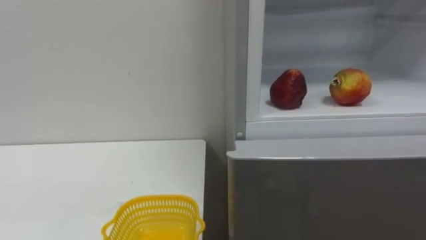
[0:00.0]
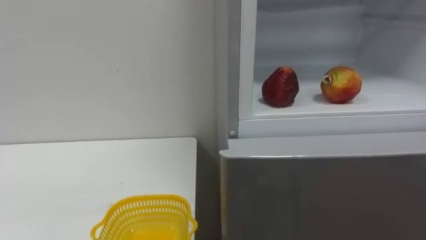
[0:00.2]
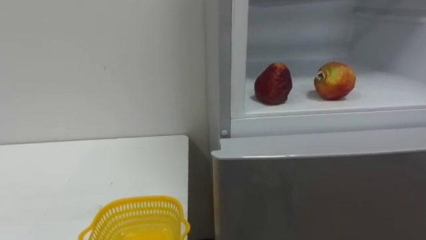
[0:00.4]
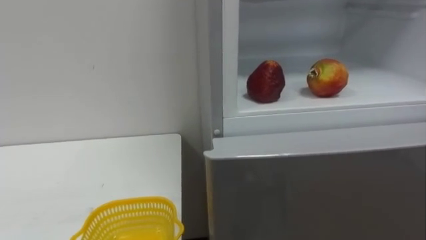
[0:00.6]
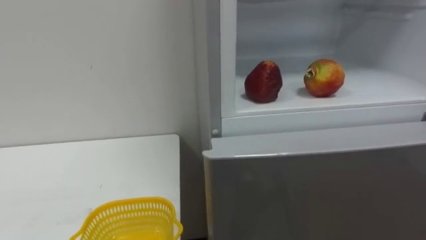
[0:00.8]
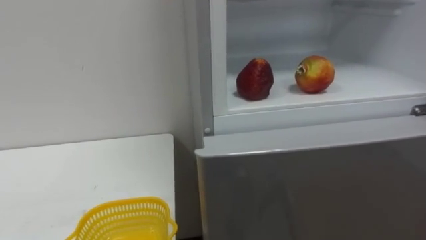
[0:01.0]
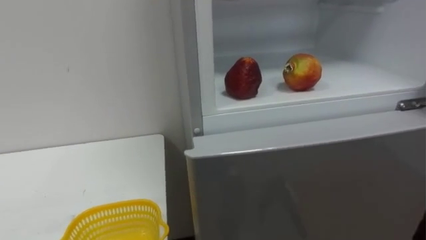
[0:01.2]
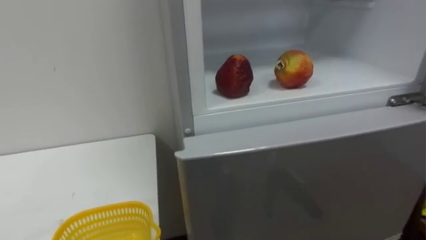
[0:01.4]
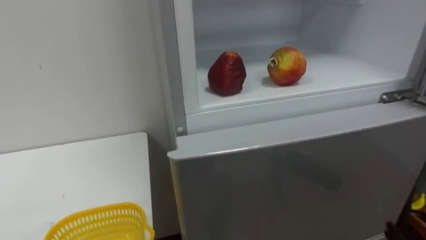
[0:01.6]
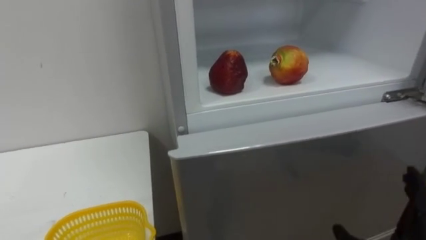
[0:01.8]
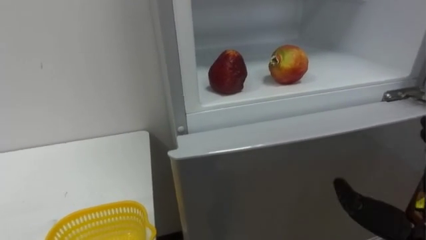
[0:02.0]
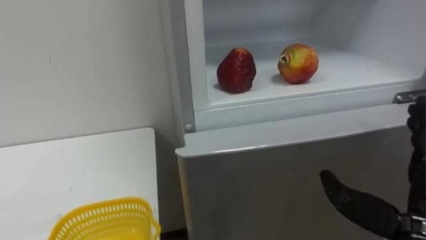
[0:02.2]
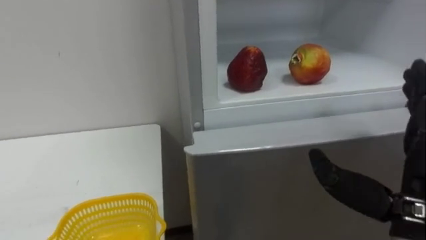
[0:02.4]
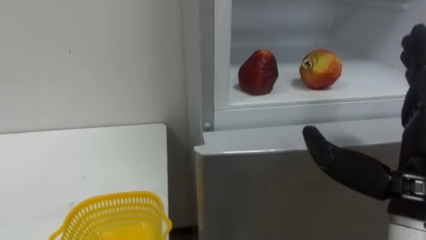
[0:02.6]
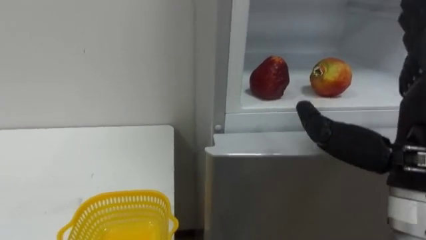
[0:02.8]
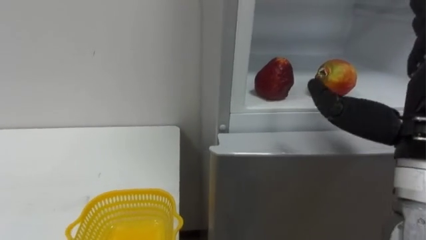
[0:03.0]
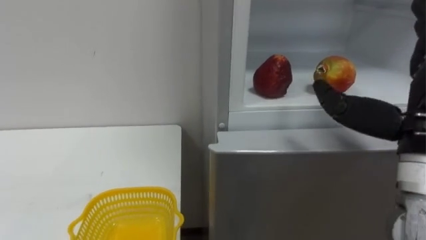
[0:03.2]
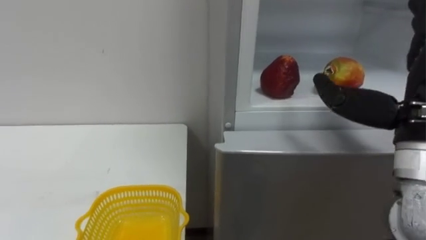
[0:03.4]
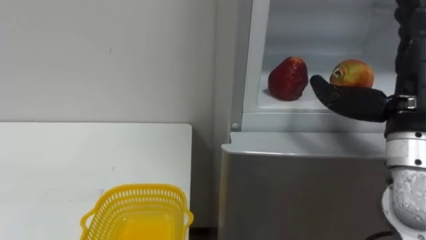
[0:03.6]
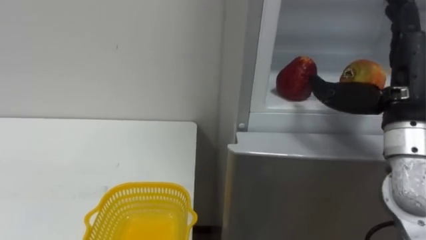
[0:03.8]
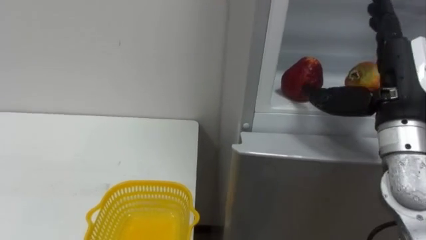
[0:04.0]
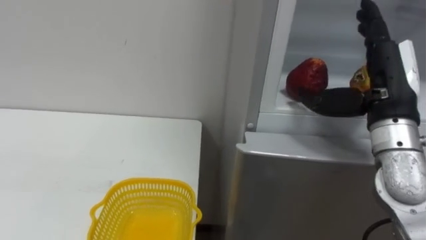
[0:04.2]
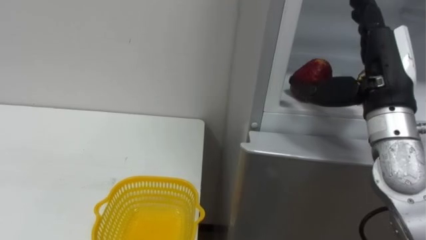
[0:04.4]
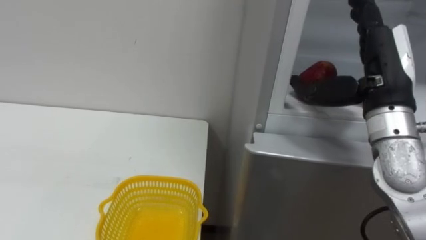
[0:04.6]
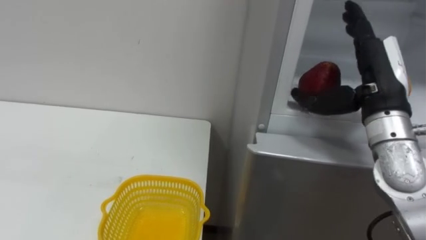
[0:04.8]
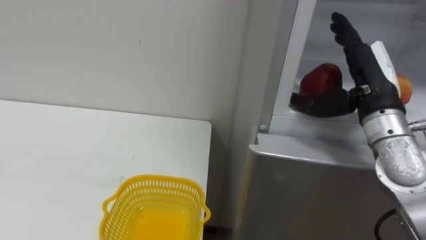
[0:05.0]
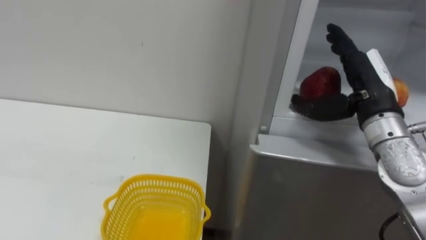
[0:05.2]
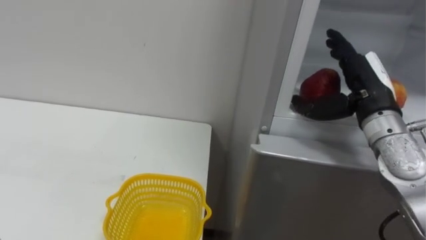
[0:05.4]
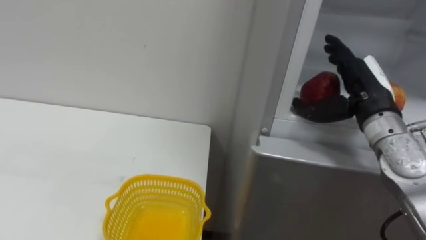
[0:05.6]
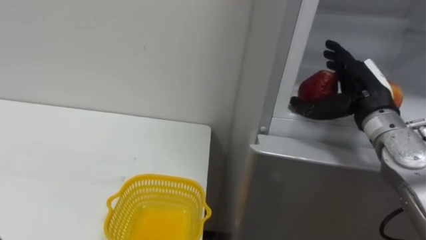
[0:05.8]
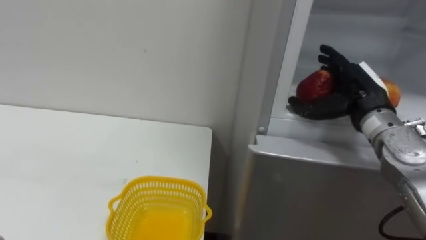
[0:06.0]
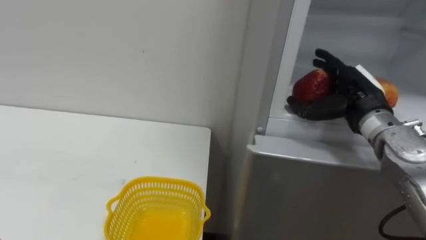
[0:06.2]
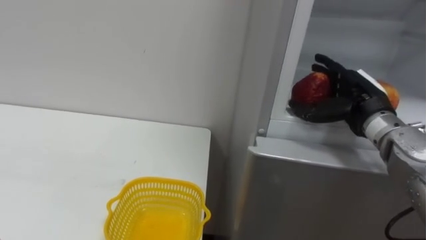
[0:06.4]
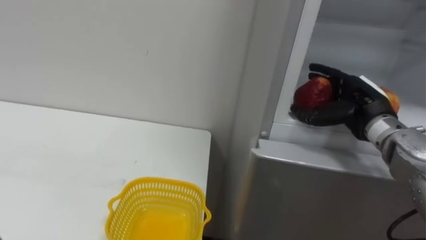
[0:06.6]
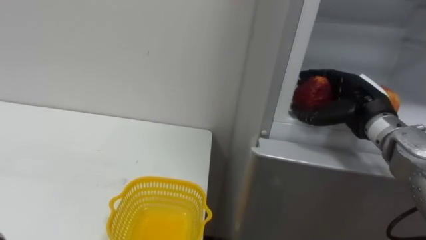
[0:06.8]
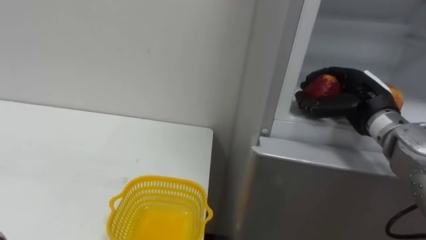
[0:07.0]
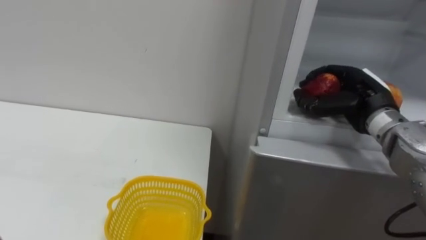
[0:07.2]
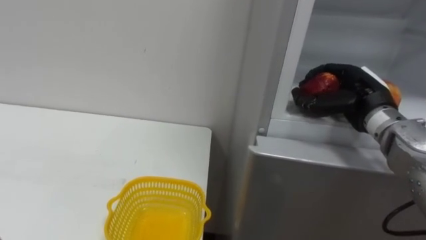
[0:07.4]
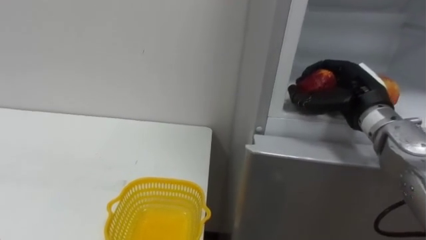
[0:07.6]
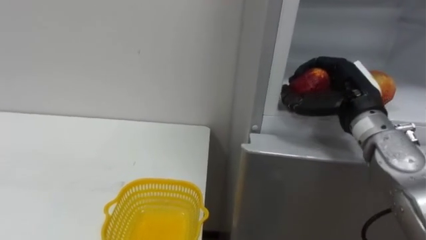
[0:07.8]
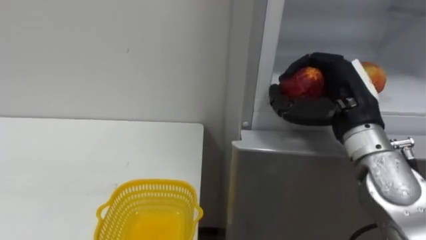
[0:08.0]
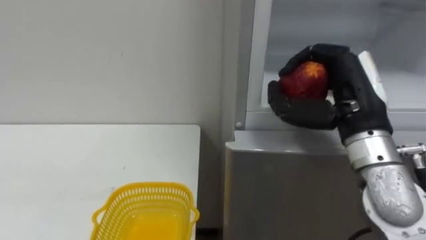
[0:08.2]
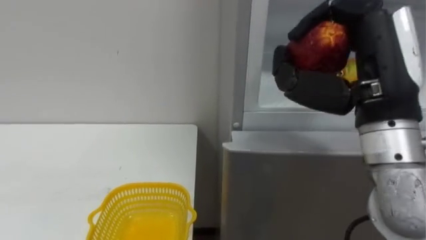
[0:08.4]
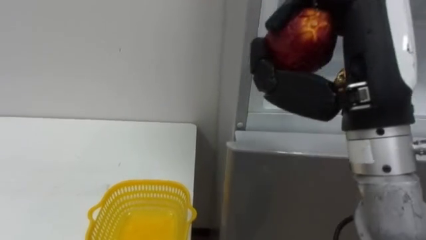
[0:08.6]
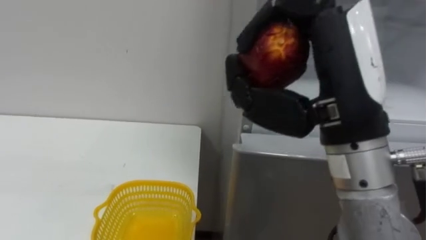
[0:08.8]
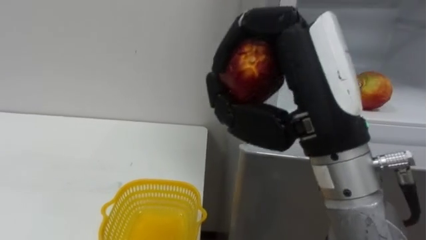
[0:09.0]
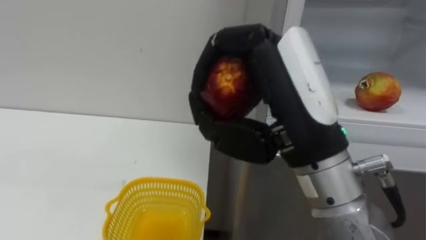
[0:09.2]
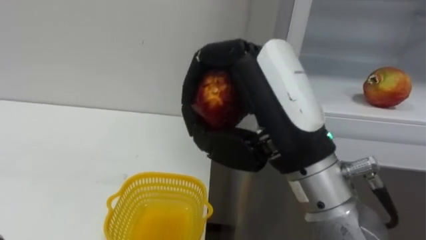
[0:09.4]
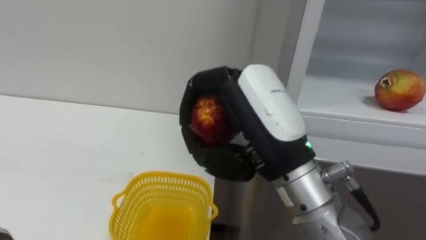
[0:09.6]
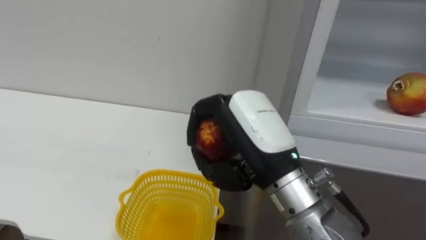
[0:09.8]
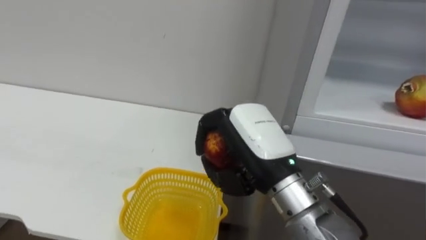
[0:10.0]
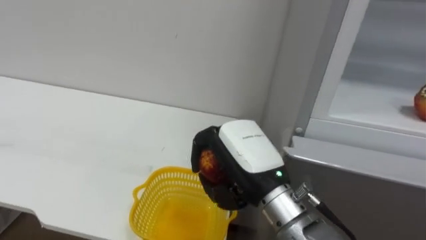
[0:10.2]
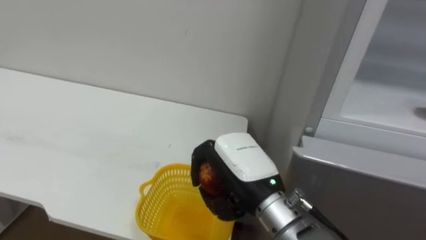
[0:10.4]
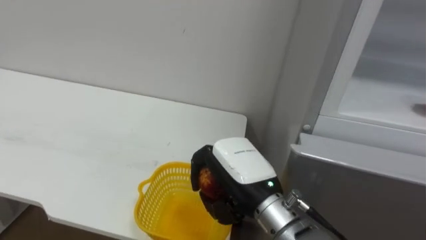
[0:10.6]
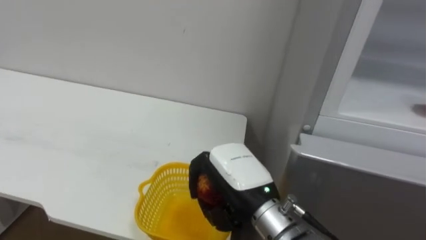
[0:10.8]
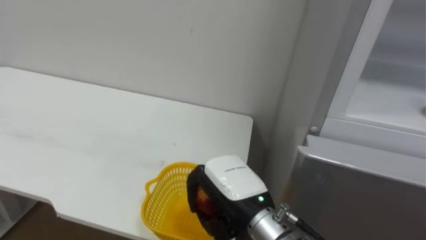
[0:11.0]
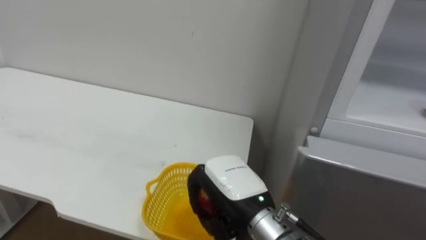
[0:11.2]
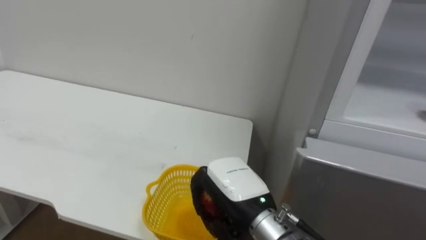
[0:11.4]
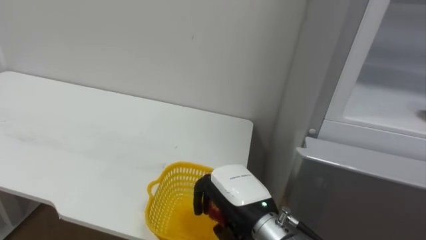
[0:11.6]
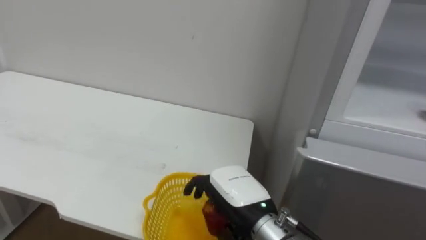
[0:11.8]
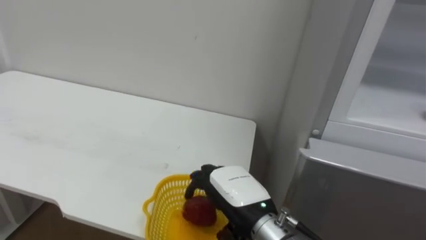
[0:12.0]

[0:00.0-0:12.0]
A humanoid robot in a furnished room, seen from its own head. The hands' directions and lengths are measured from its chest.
Task of the whole recording: Open the refrigerator door, take out the apple and the pomegranate, place them in the fruit basket on the left, and close the refrigerator door.
3.0 to 4.4 s: The right hand moves forward, roughly 10 cm.
4.4 to 6.0 s: The right hand heads forward and downward, covering approximately 10 cm.
6.0 to 7.6 s: The right hand closes.
7.6 to 9.0 s: The right hand shifts about 25 cm backward, to the left and upward.
9.0 to 10.4 s: The right hand moves downward and forward, approximately 15 cm.
10.4 to 12.0 s: The right hand is displaced downward by roughly 5 cm, and opens.

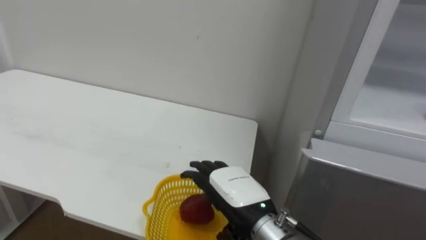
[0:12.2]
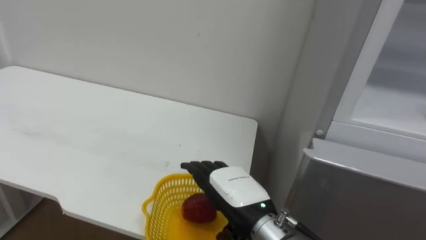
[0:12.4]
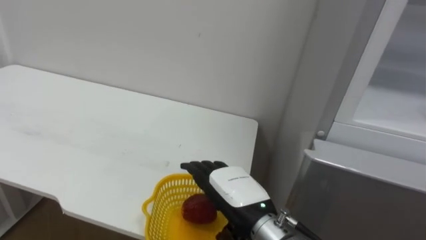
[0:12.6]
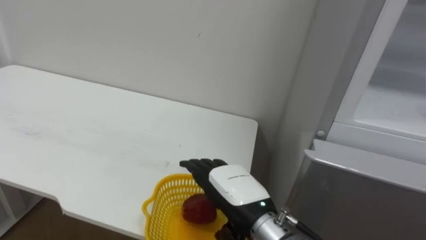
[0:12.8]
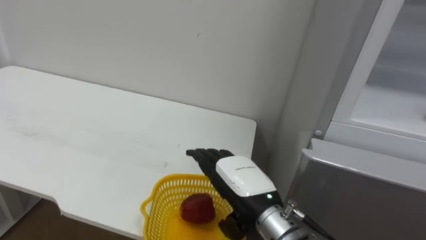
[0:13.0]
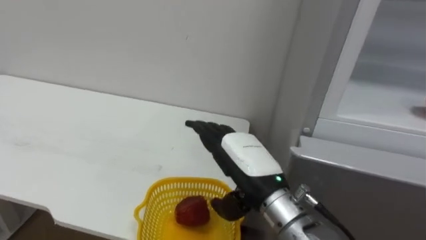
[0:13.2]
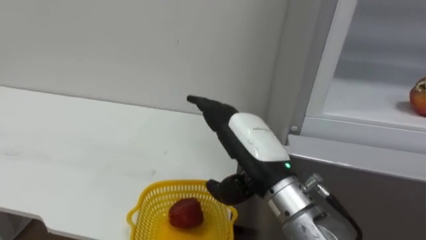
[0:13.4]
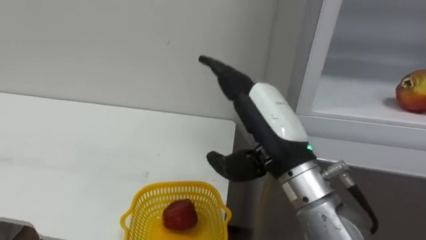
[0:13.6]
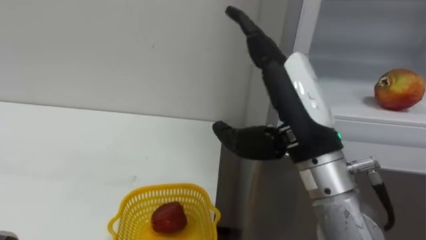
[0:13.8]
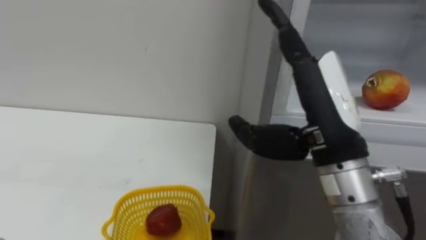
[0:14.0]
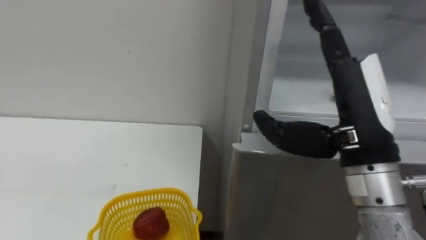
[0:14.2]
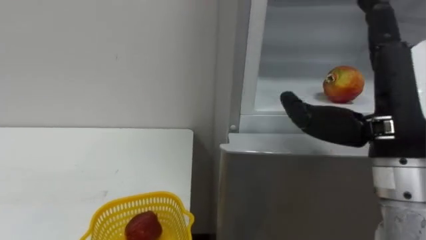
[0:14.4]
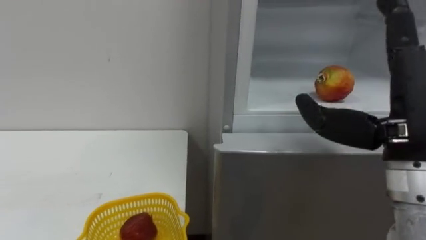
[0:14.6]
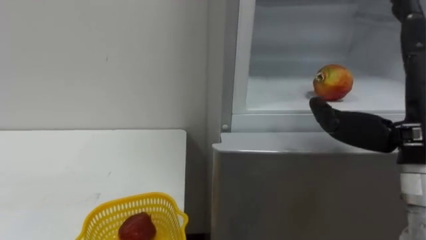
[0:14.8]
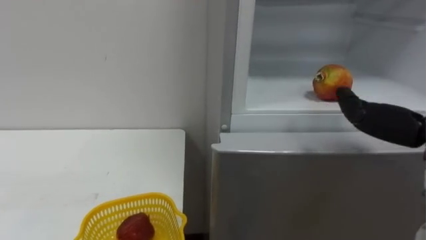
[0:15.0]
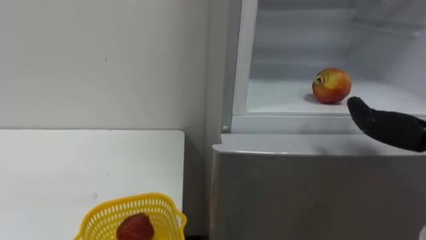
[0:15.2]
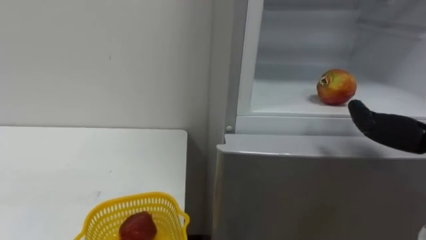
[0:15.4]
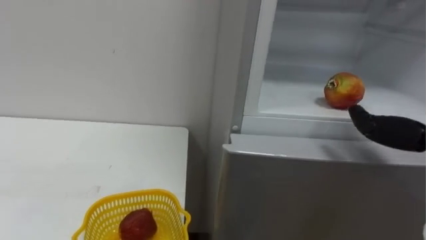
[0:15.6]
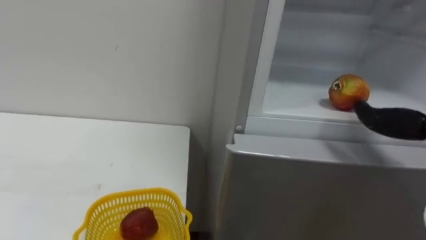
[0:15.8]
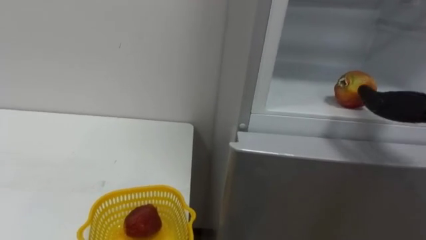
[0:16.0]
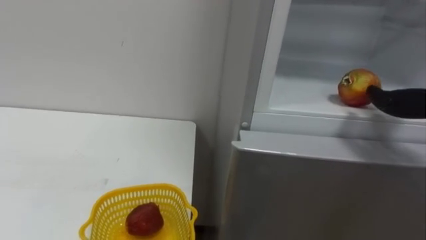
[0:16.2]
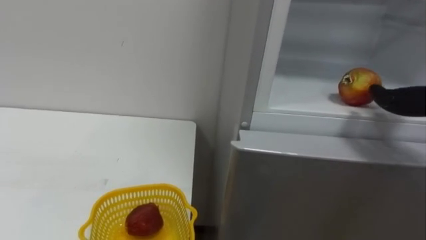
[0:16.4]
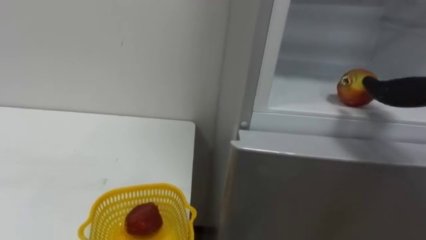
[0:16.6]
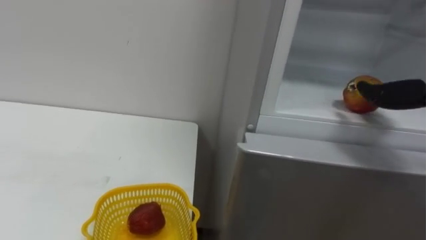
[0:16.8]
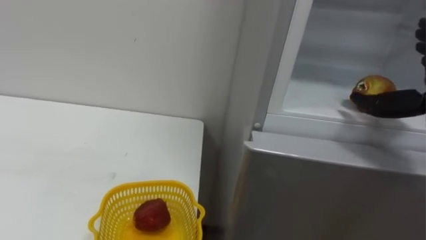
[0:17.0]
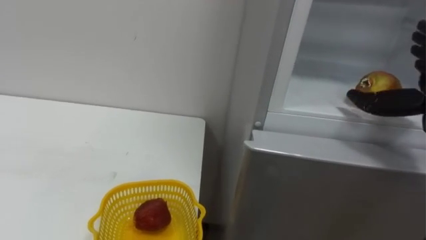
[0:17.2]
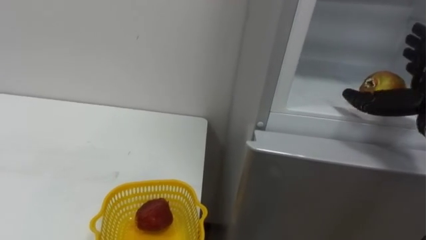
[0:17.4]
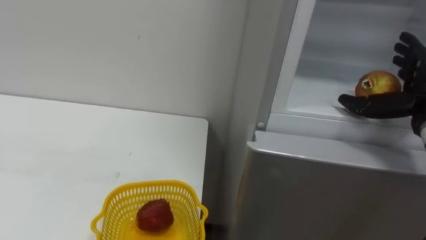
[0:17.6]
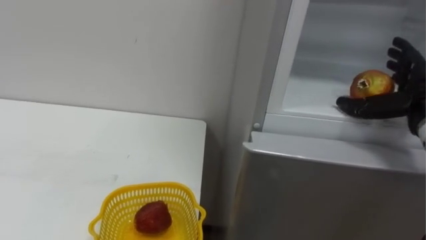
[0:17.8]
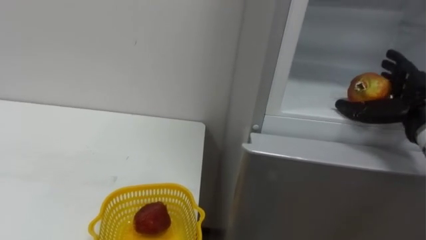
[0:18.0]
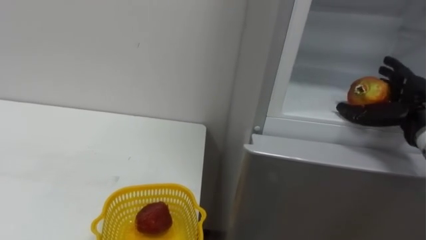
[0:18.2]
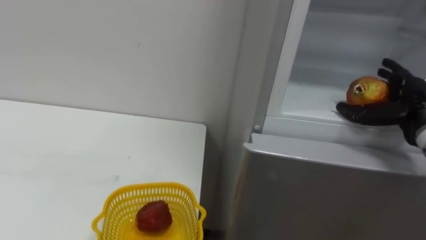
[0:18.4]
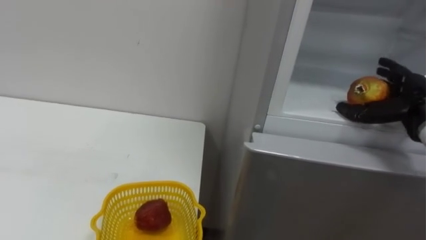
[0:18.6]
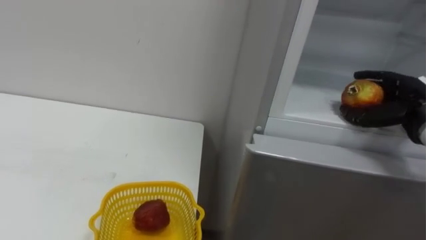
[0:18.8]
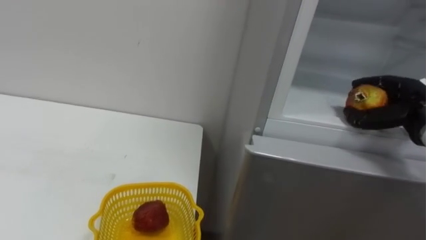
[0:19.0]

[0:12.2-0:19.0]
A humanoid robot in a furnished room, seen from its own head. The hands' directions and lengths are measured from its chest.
Task of the whole recording: Open the refrigerator door, take out the apple and the pomegranate, place them in the fruit basket on the left, and close the refrigerator door.
12.2 to 13.6 s: The right hand heads upward, covering approximately 15 cm.
17.6 to 19.0 s: The right hand closes up.
